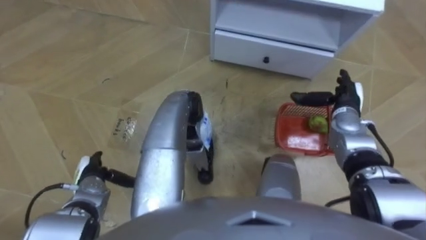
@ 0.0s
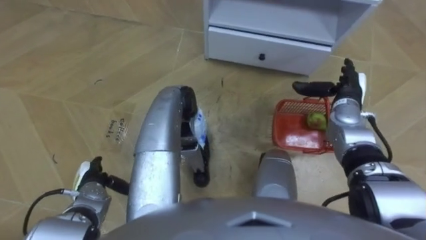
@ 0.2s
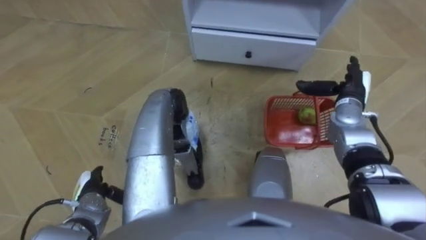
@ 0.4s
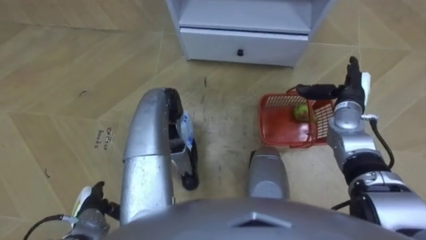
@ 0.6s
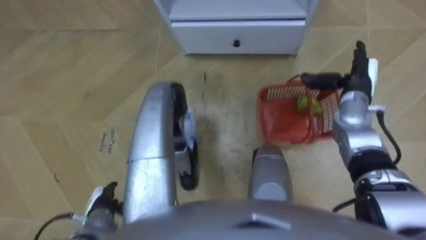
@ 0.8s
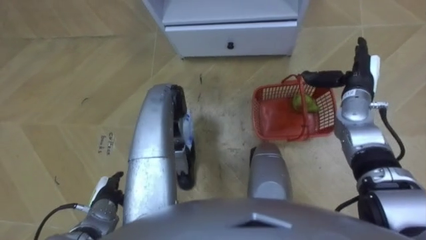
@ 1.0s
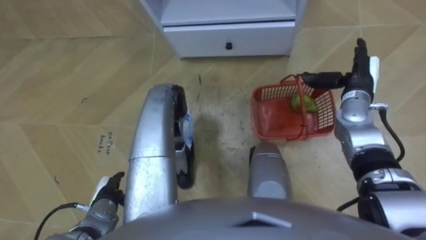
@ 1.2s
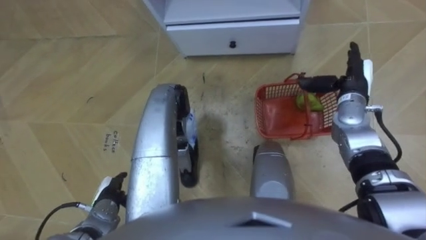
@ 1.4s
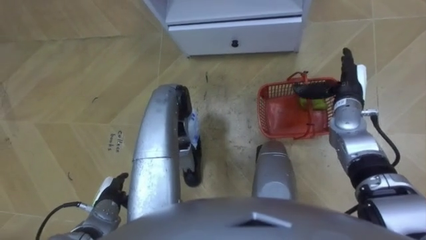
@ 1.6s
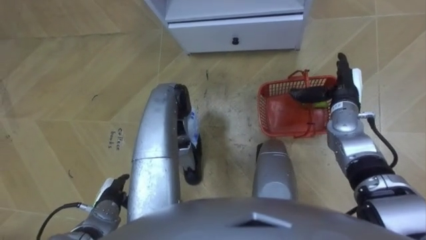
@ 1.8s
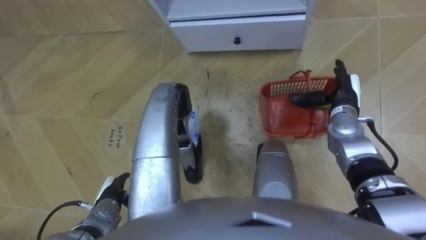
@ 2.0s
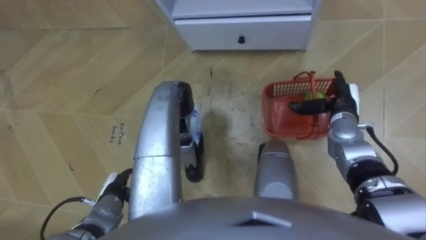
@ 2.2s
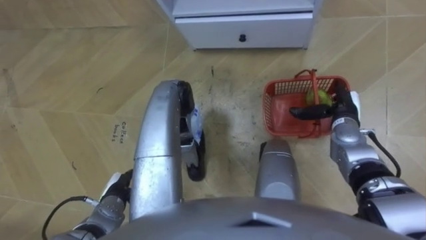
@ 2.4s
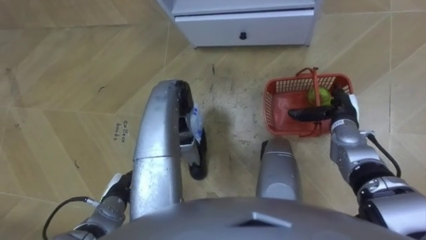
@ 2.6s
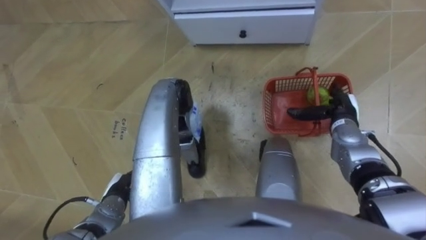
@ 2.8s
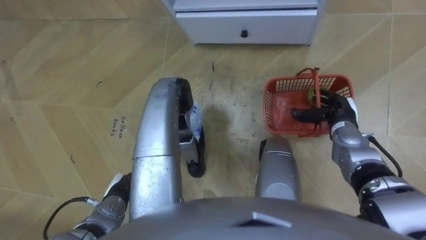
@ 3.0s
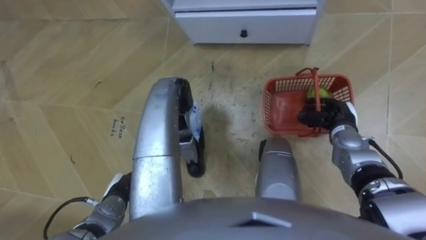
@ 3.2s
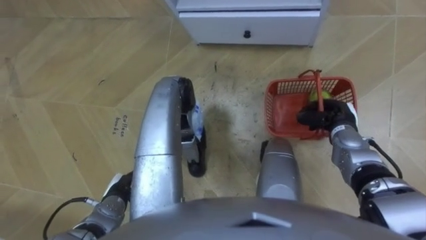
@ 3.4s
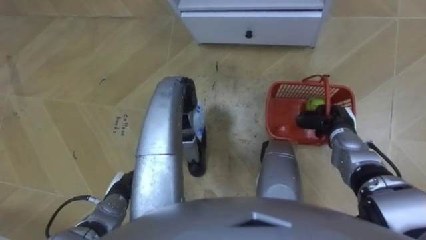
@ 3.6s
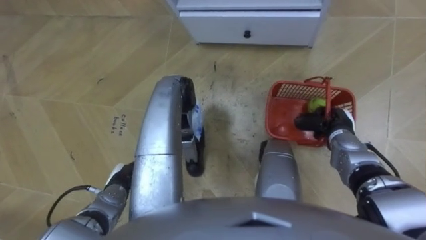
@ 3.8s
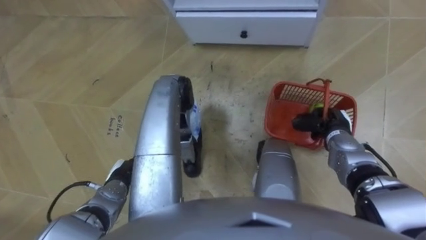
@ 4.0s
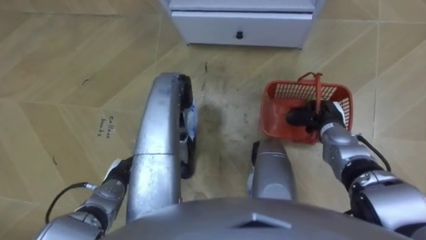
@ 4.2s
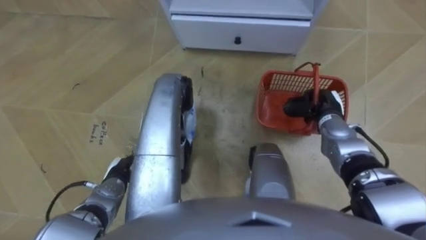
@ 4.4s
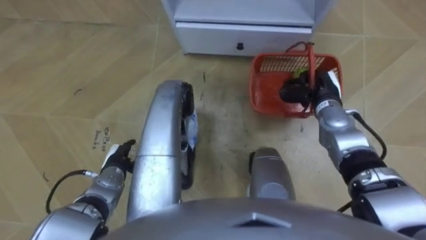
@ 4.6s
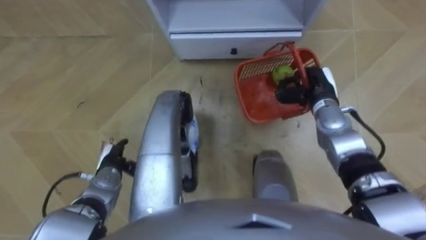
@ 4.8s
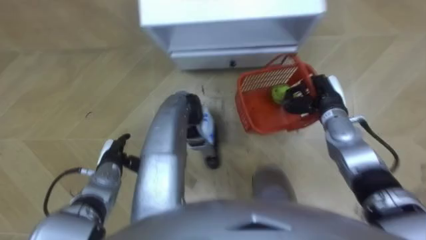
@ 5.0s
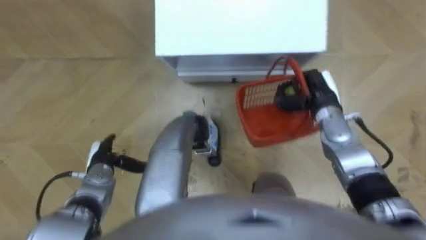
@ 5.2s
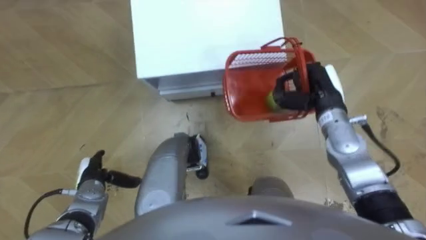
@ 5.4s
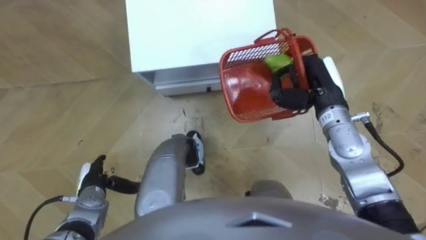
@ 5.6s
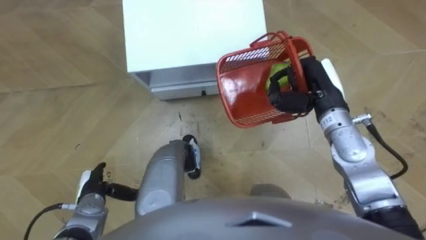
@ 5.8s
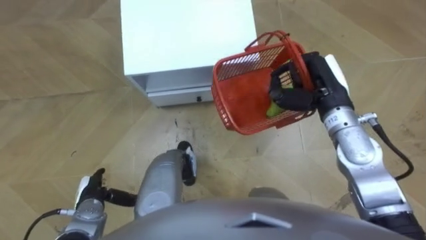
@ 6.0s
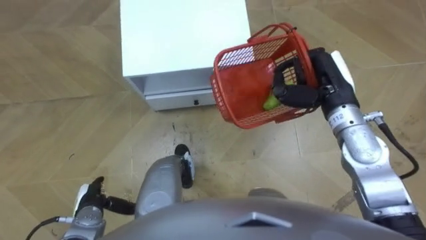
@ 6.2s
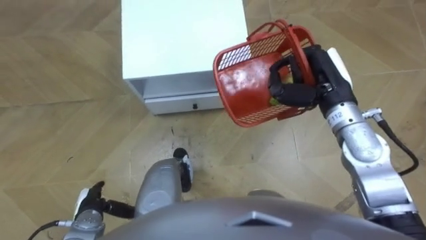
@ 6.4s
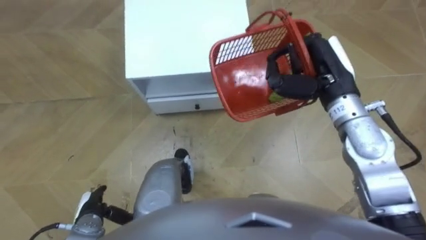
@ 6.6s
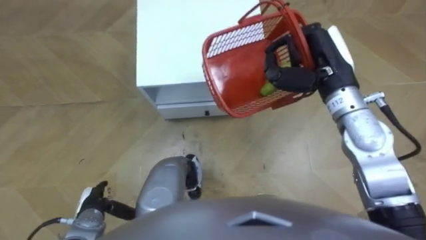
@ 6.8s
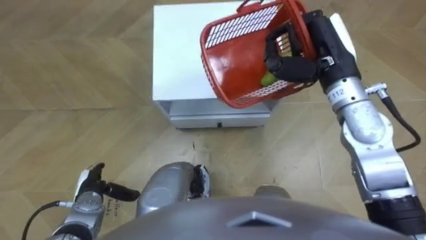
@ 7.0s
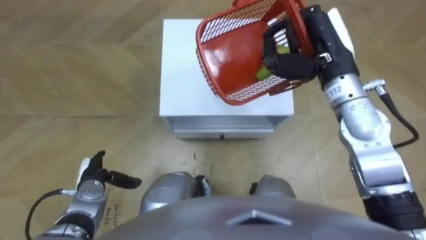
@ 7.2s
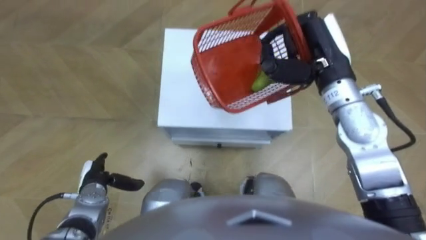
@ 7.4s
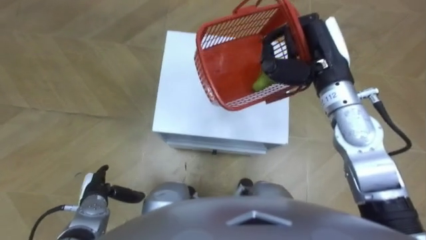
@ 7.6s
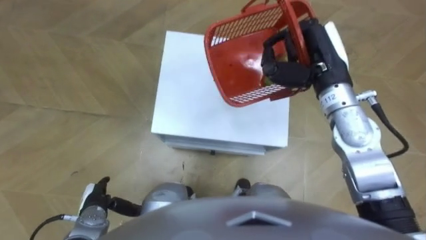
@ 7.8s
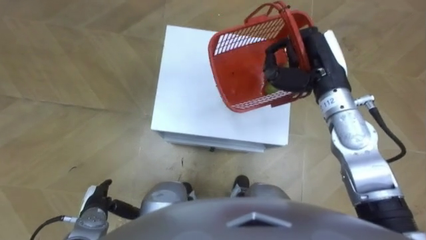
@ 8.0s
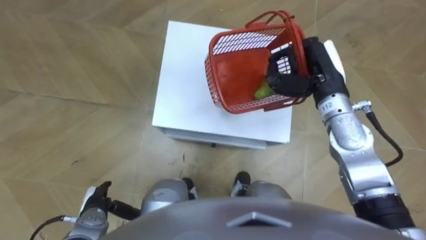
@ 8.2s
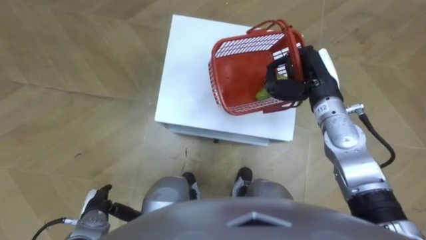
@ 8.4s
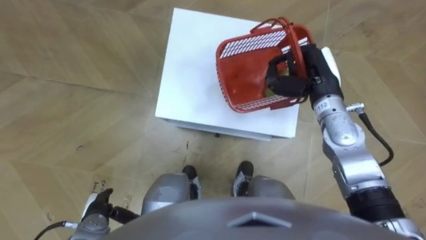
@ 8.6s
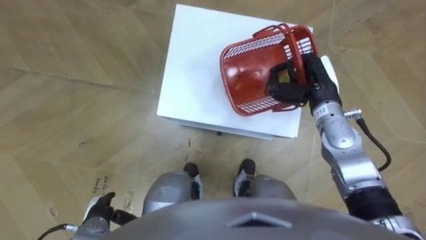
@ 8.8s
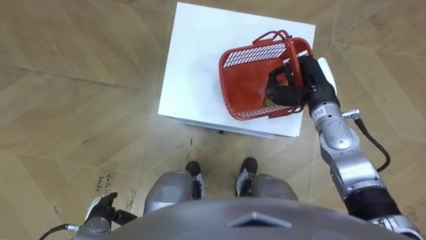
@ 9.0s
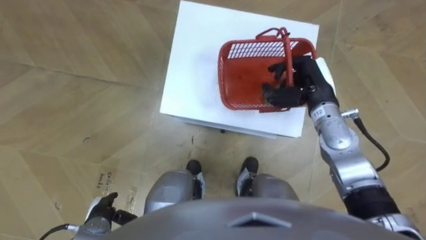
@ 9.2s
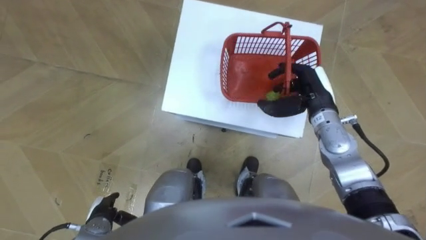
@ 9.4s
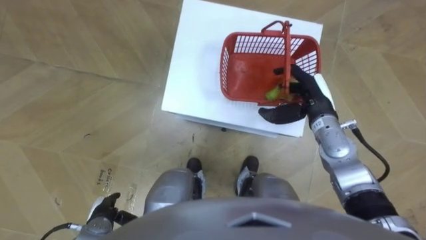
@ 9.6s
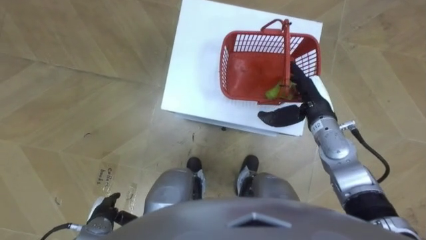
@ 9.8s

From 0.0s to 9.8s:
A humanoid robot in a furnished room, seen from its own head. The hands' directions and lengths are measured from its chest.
Task of the whole recording: Pick up the fruit basket from the floor and place it on the cabinet.
From 0.0s to 1.4s: The left hand shifts approximately 5 cm backward.
From 1.4s to 2.8s: The right hand heads downward, covering roughly 5 cm.
From 2.8s to 4.2s: The right hand closes.
From 4.2s to 5.6s: The left hand shifts approximately 5 cm to the left, while the right hand moves upward, some 15 cm.
From 5.6s to 7.0s: The right hand goes roughly 10 cm upward.
From 7.0s to 8.4s: The right hand heads downward, covering roughly 10 cm.
From 8.4s to 9.8s: The right hand travels downward by roughly 5 cm, and opens.

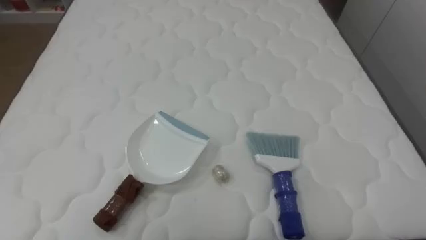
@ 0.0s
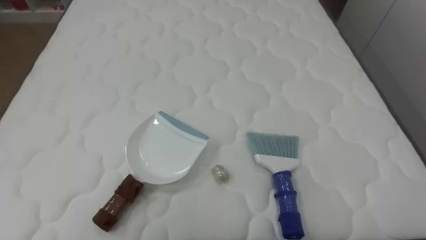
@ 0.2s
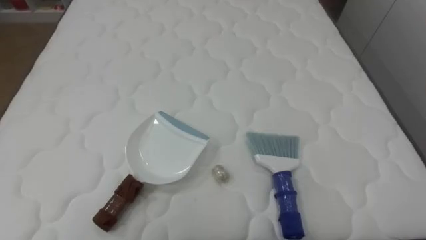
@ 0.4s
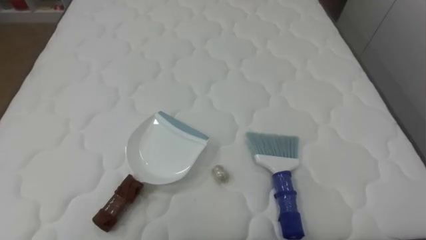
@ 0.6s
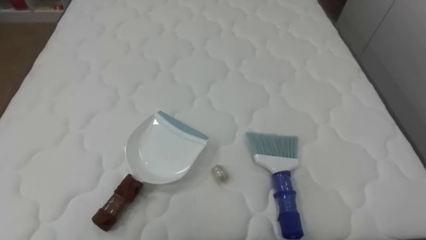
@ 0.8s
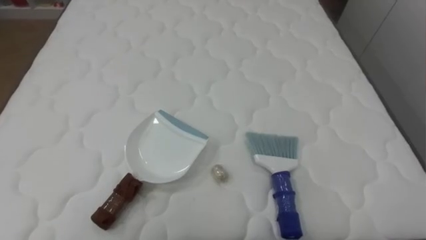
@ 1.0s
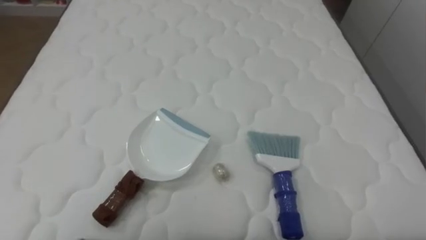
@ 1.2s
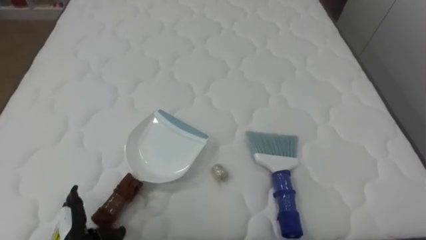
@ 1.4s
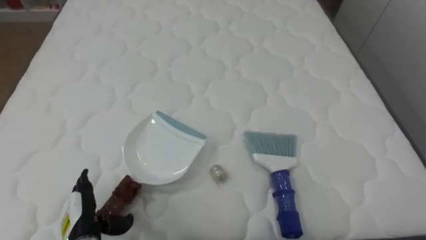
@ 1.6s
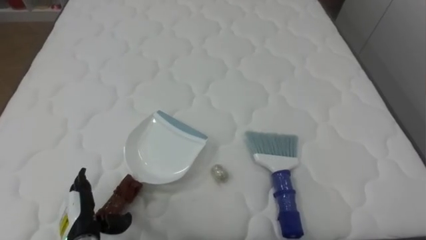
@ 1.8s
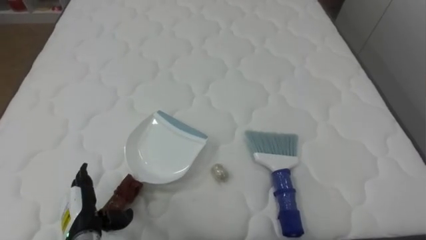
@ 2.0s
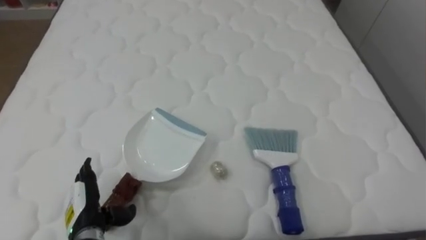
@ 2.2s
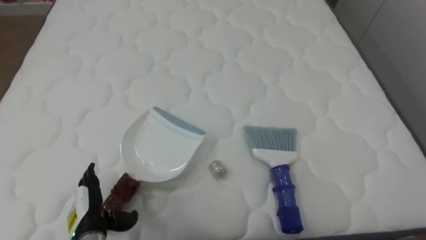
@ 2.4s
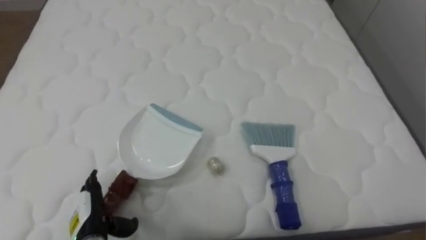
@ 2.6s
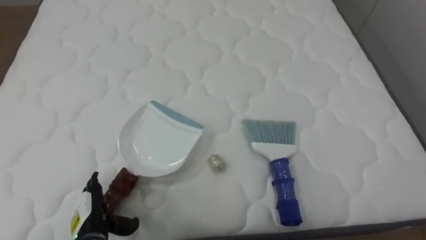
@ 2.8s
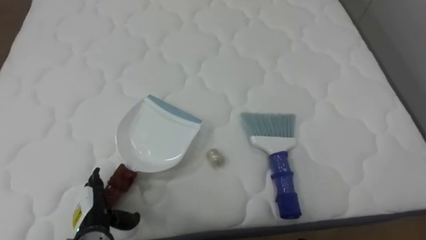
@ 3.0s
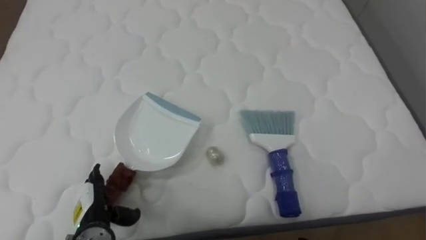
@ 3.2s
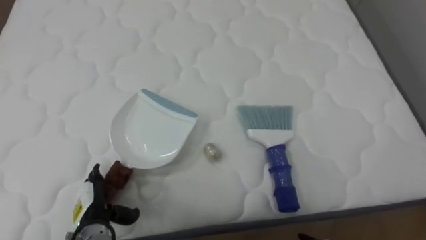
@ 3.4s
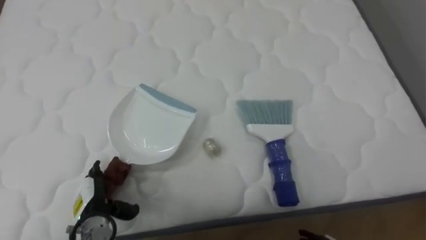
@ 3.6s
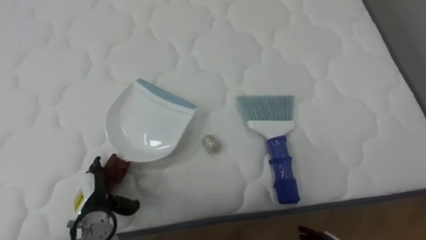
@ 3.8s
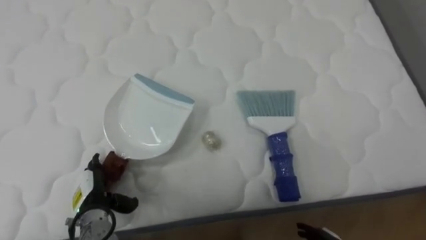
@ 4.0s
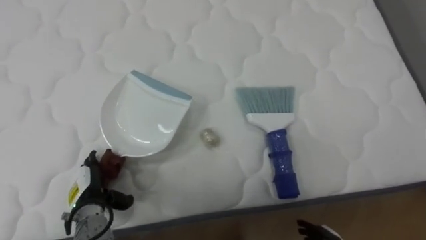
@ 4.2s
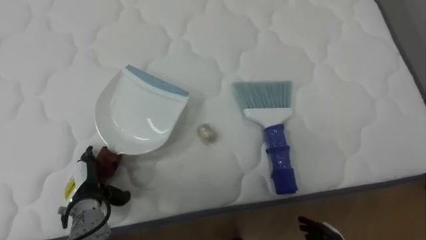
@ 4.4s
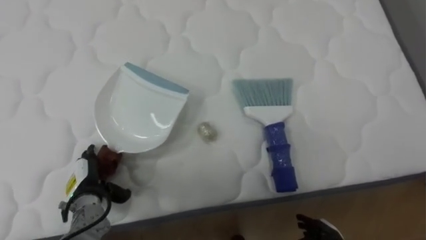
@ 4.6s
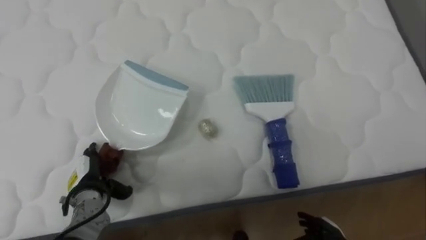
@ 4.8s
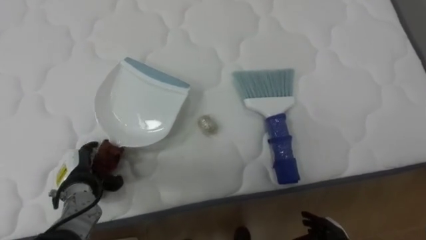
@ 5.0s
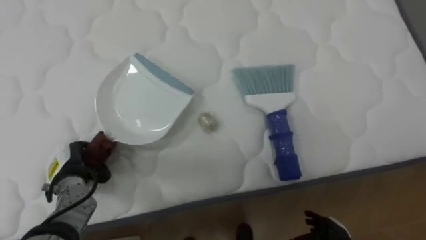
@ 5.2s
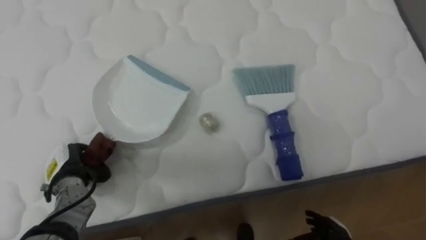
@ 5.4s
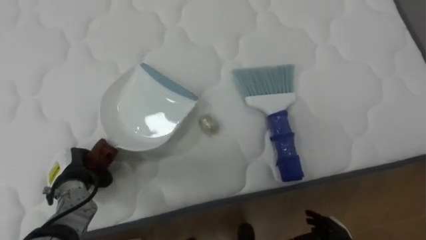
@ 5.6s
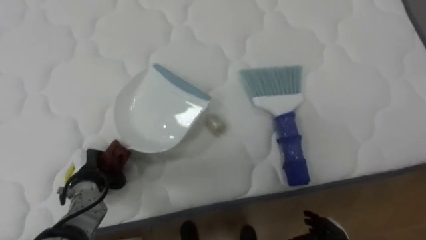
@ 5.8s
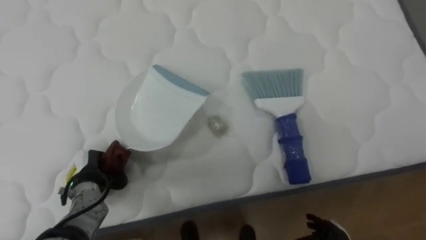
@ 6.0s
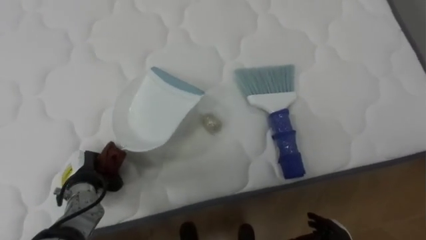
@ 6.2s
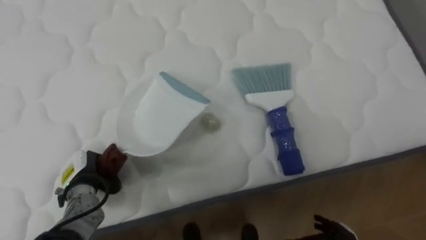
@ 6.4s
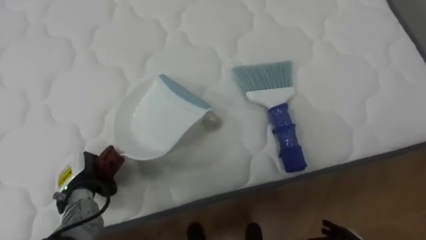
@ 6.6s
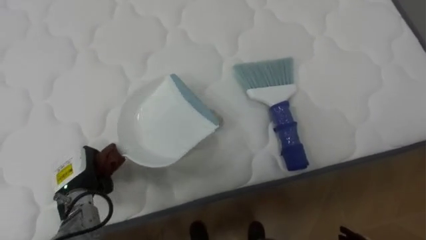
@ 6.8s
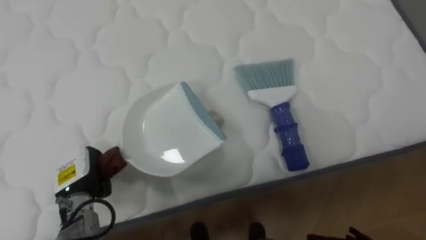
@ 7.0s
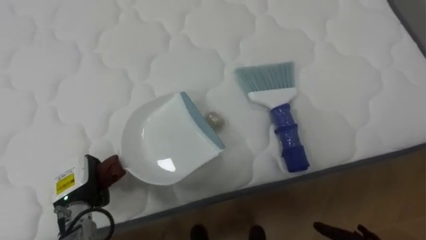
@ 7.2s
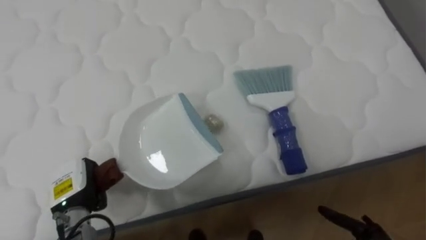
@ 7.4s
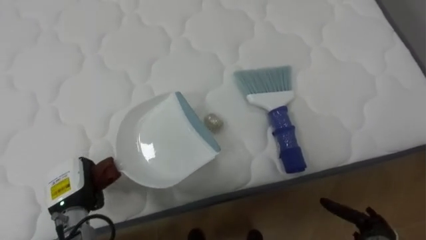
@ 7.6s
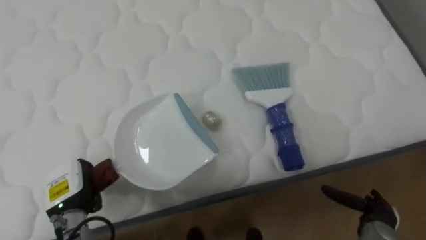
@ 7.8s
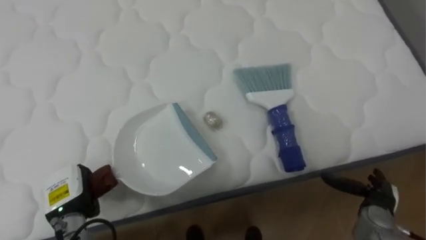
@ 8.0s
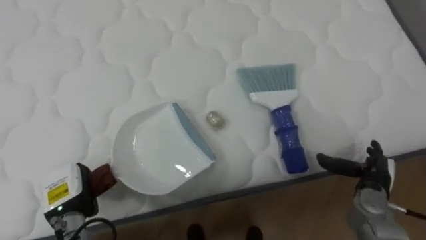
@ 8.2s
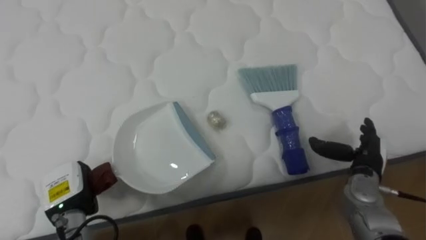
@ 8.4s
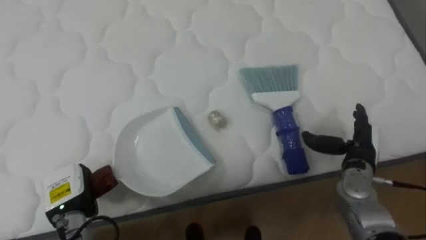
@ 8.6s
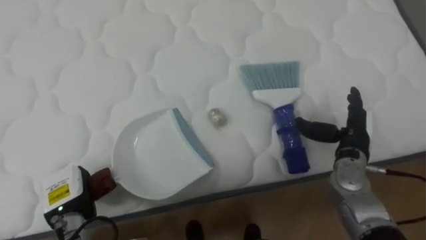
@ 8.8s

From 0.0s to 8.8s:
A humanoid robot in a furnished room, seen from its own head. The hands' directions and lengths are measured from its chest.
Task of the whole recording: Pick up the brush on your right and the dustpan on your left. Use the brush to sweep the crumpled paper on the bed into the dustpan, then turn left and empty it into the basket.
From 1.4s to 3.0s: The left hand shifts about 5 cm forward.
From 3.0s to 4.4s: The left hand moves some 5 cm.
From 4.4s to 5.8s: The left hand closes.
